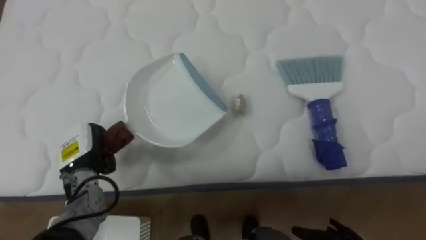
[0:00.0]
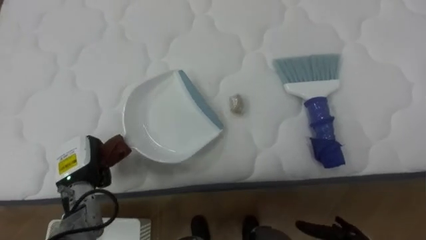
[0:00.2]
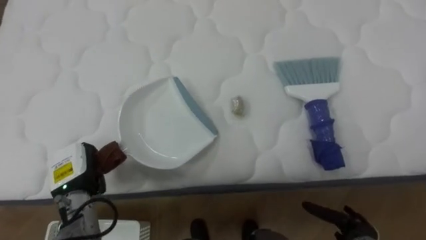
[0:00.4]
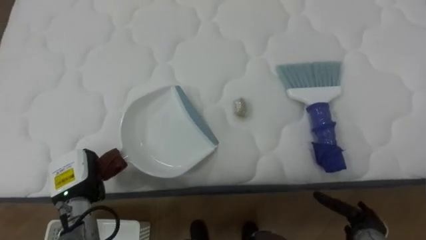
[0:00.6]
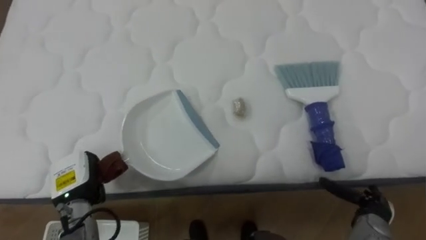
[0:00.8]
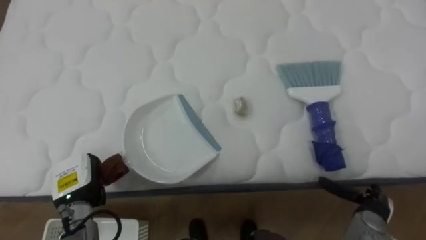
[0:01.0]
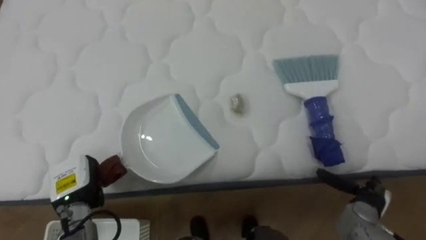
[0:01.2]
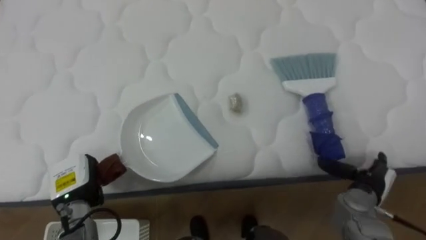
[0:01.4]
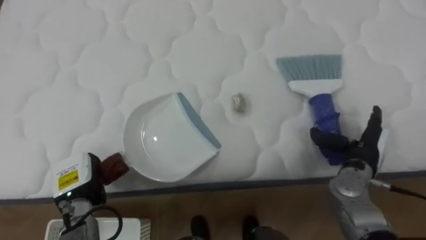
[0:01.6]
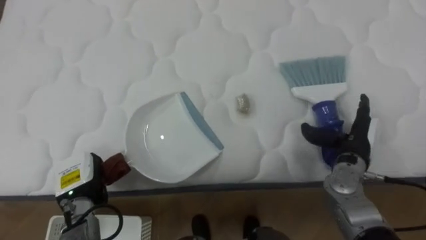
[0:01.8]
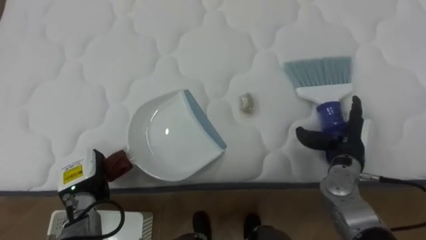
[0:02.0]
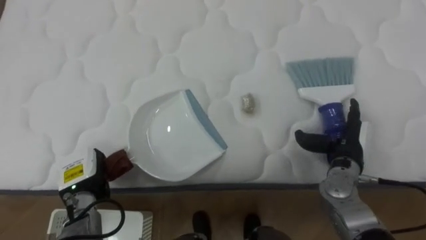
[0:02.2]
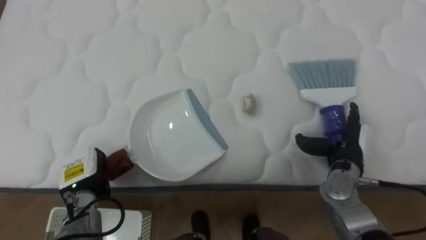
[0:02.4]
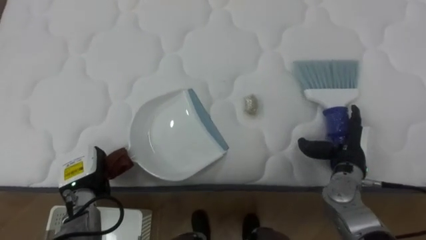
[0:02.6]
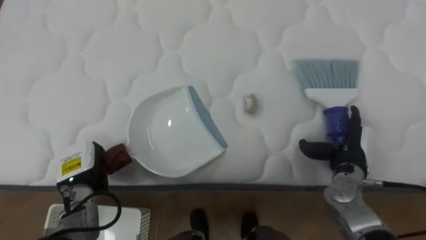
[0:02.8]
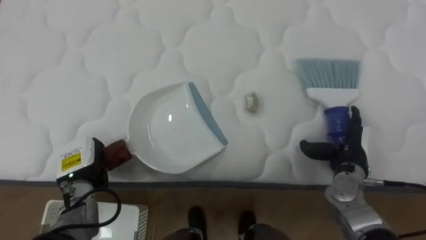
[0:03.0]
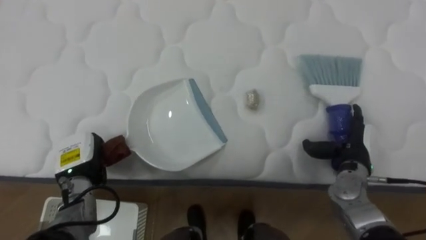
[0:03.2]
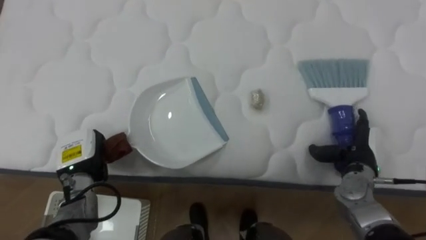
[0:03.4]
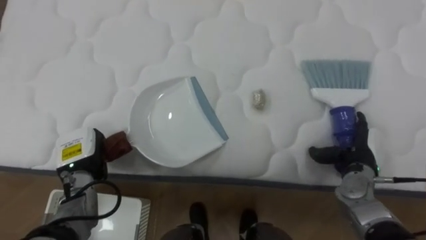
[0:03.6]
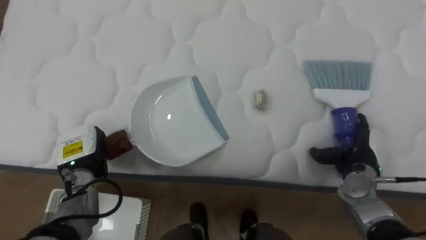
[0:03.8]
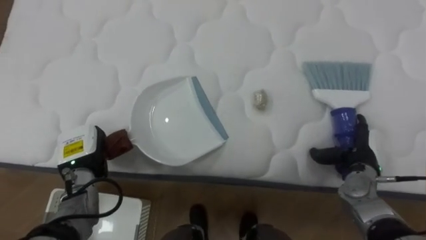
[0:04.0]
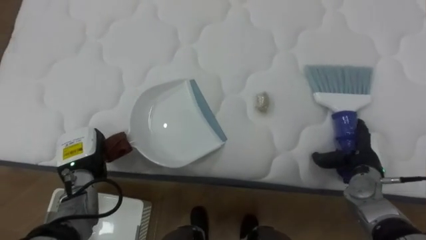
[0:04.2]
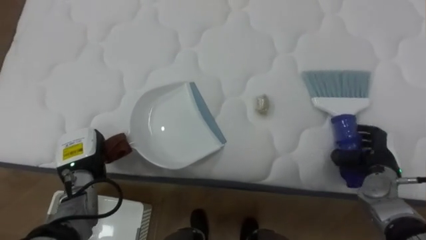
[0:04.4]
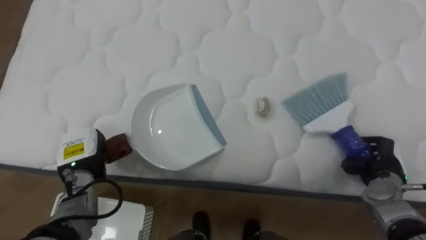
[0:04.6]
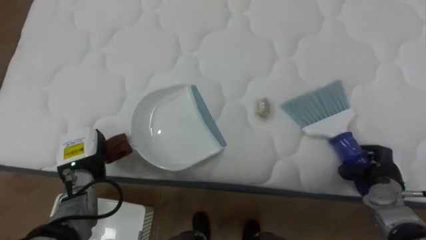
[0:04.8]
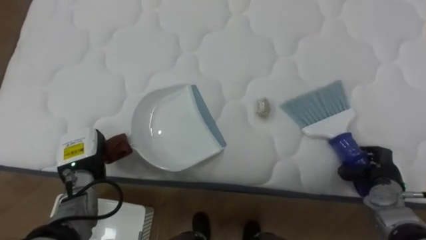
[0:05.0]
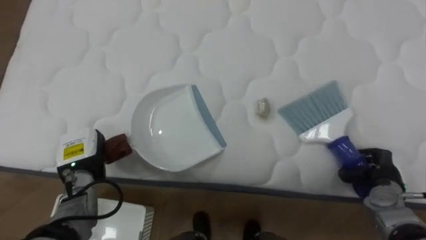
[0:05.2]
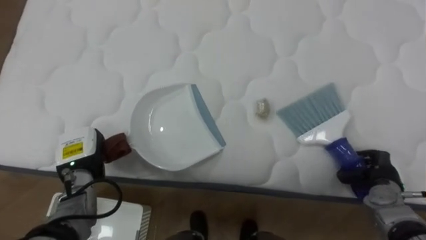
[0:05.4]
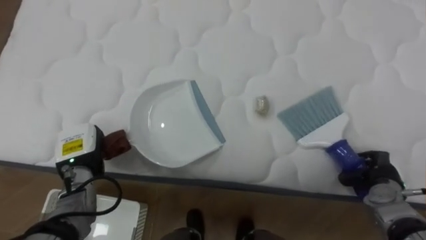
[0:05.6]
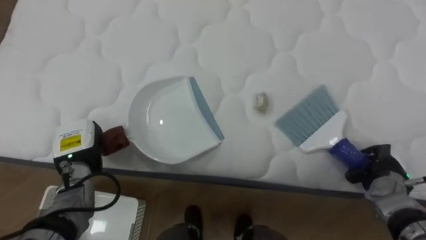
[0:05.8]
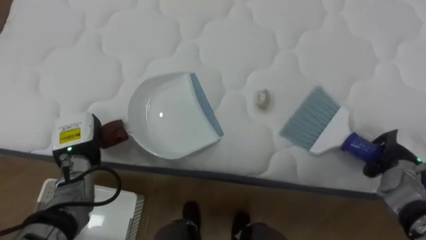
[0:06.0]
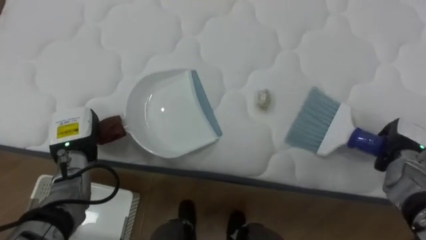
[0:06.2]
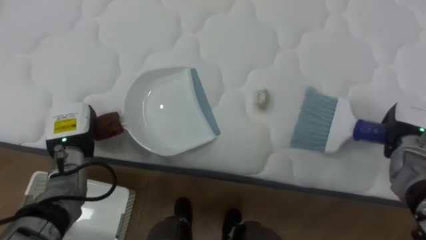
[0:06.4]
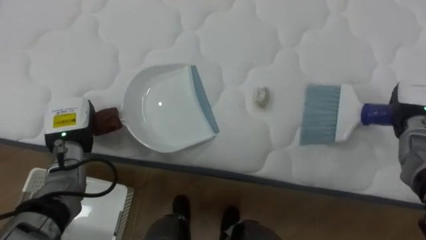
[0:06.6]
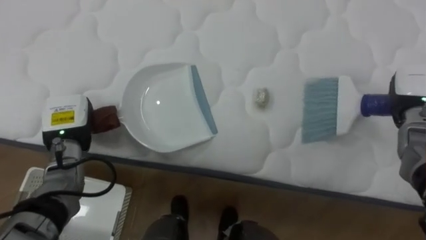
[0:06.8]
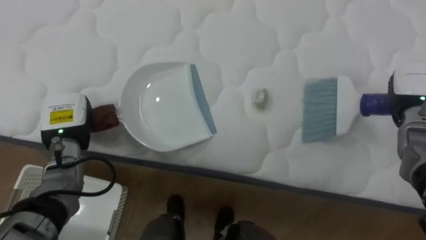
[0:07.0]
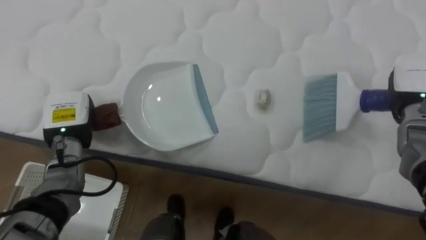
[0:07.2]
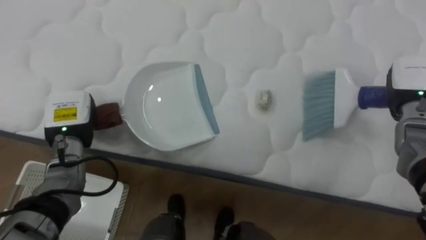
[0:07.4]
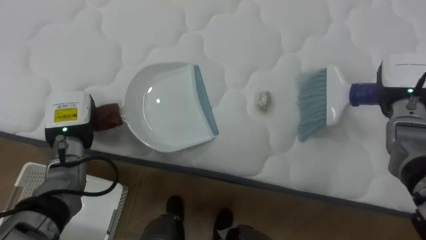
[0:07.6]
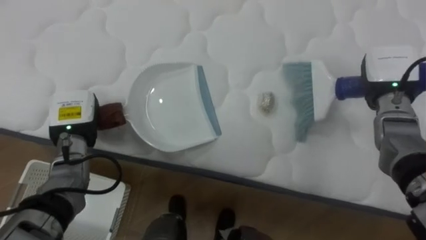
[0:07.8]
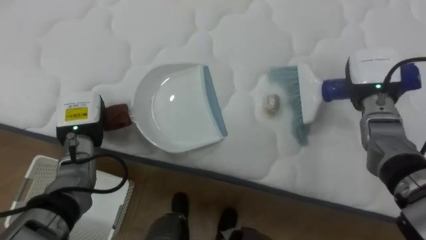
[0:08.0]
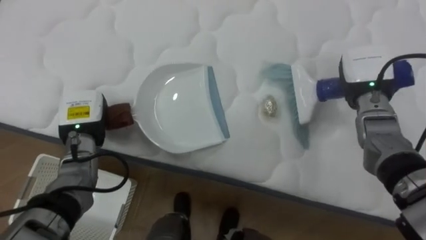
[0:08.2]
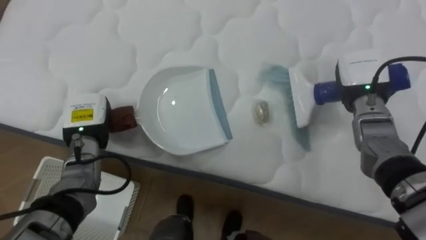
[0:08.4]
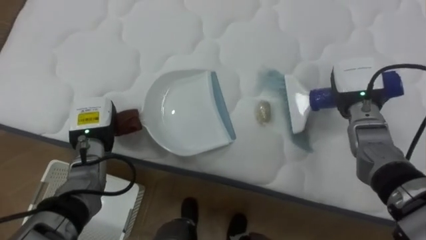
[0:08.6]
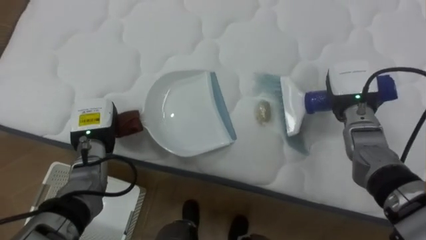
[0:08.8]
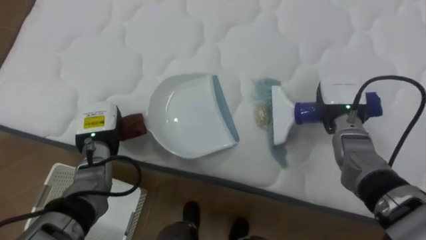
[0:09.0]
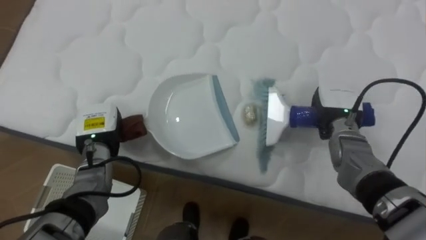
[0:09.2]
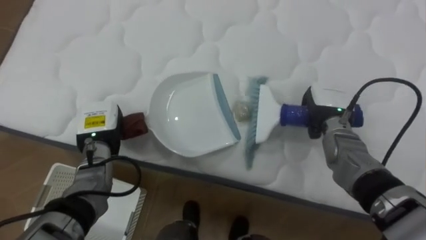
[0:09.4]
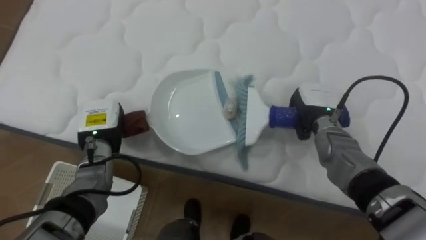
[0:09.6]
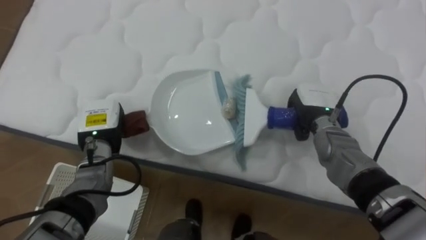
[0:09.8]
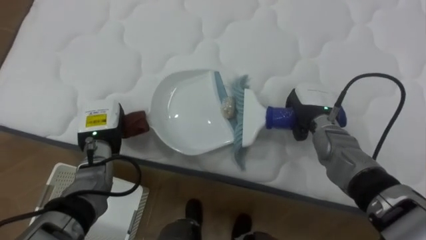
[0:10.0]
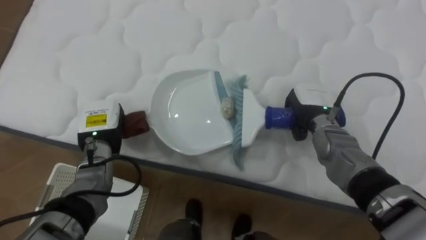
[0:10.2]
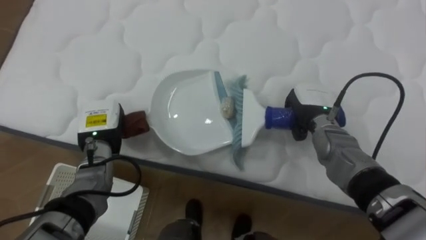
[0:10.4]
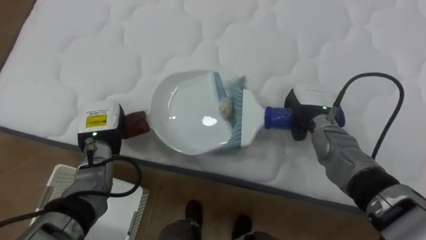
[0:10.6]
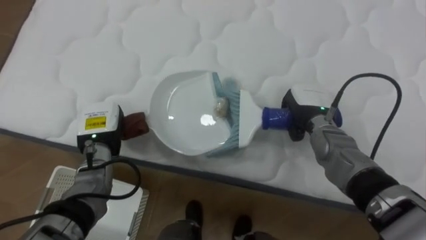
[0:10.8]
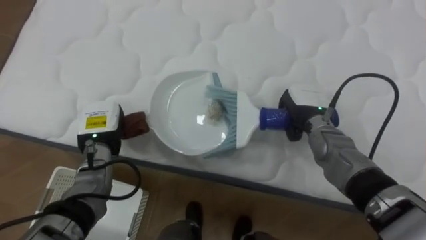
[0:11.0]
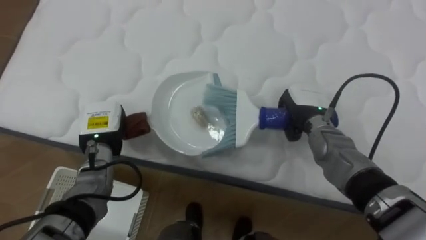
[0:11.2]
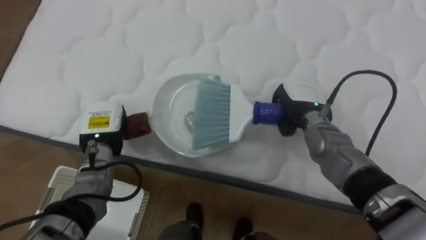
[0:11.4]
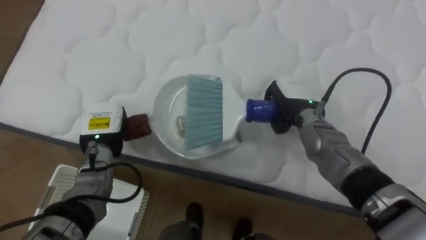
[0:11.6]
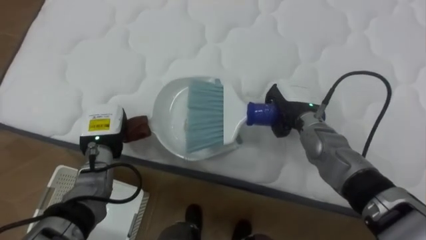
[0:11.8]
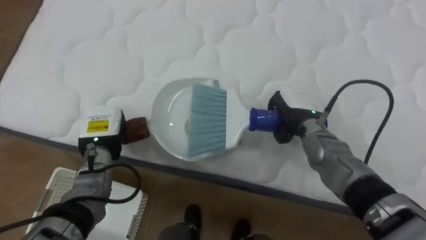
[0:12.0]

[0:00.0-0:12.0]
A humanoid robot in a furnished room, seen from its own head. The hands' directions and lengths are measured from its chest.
Task of the whole recording: Pick up the brush on your right and the dustpan on your left. Use the brush to sweep the crumpled paper on the bed into the dustpan, then turn left and empty it into the basket.
0:00.0 to 0:01.6: The left hand is displaced backward by some 5 cm.
0:03.0 to 0:04.4: The right hand travels to the right by about 5 cm.
0:04.4 to 0:06.0: The right hand closes up.
0:06.0 to 0:07.6: The right hand moves upward and forward, approximately 15 cm.
0:07.6 to 0:09.0: The left hand moves approximately 5 cm, while the right hand goes roughly 10 cm to the left.
0:09.0 to 0:10.4: The right hand goes about 5 cm to the left.
0:10.4 to 0:12.0: The hands stay close to where they were, moving slightly.

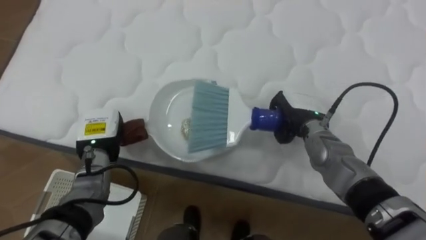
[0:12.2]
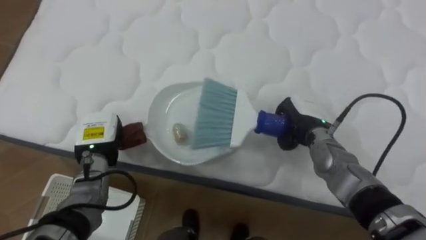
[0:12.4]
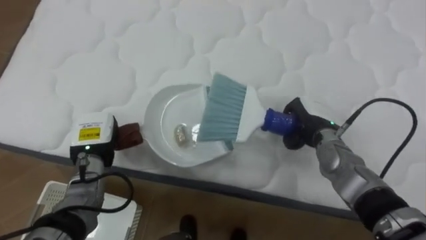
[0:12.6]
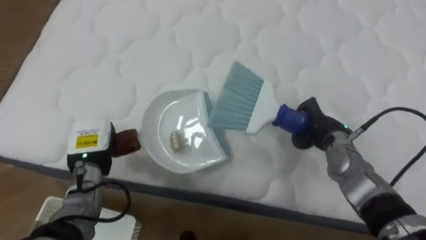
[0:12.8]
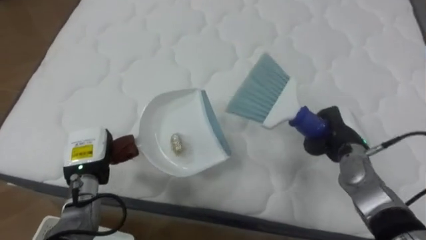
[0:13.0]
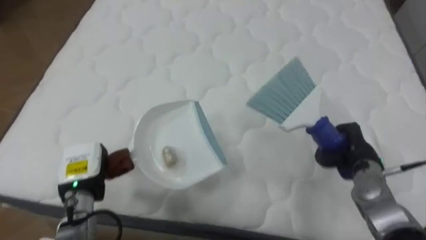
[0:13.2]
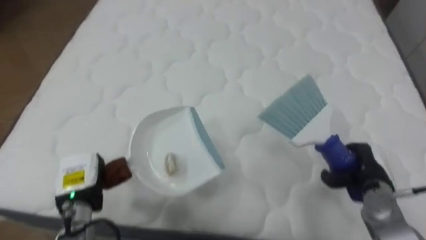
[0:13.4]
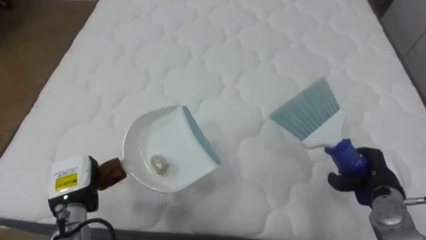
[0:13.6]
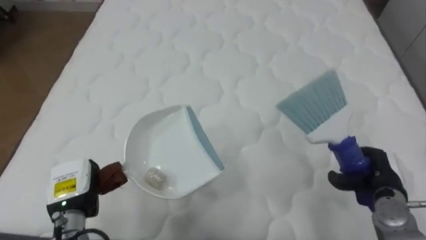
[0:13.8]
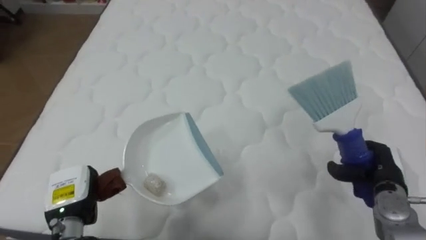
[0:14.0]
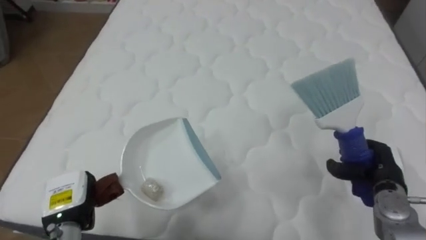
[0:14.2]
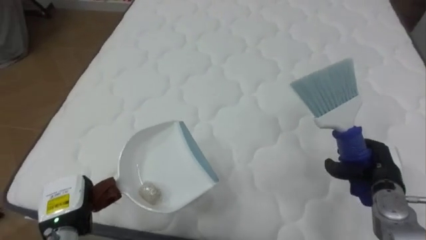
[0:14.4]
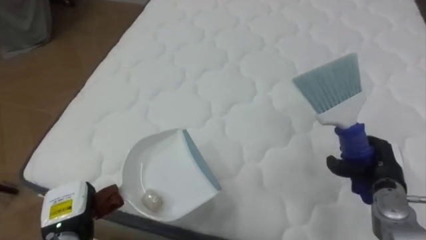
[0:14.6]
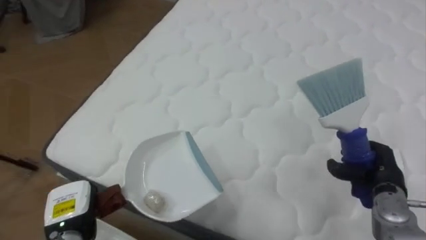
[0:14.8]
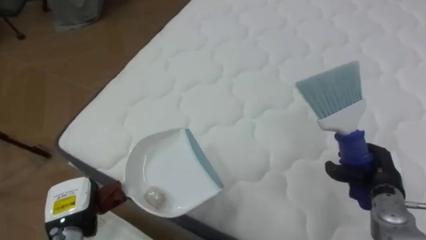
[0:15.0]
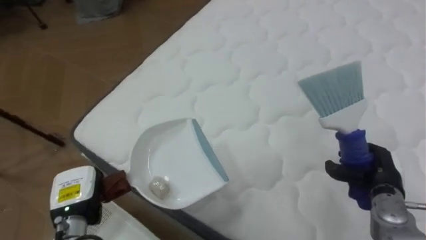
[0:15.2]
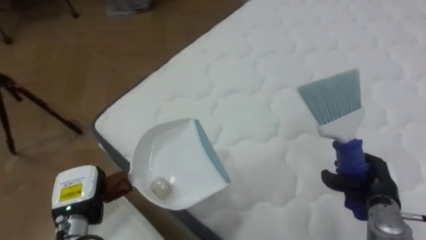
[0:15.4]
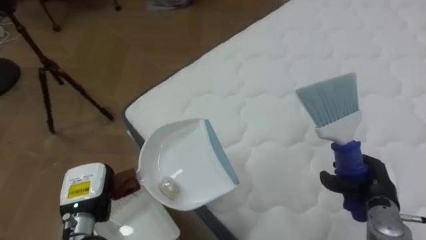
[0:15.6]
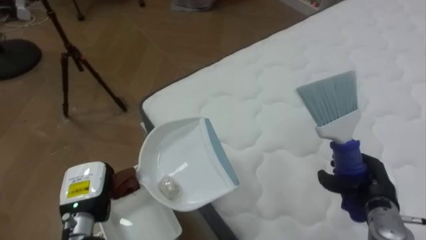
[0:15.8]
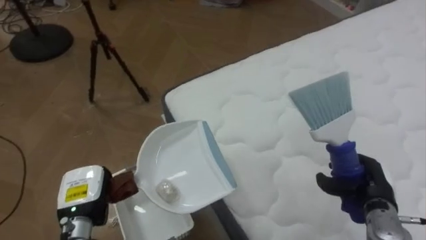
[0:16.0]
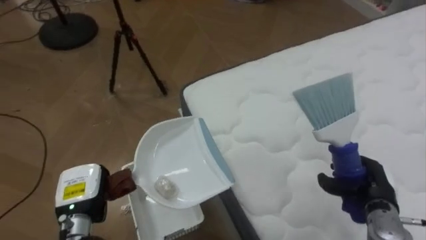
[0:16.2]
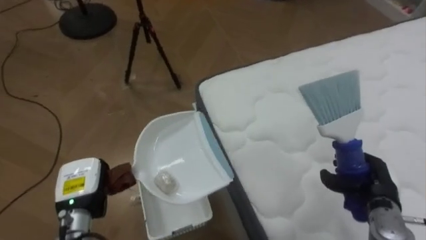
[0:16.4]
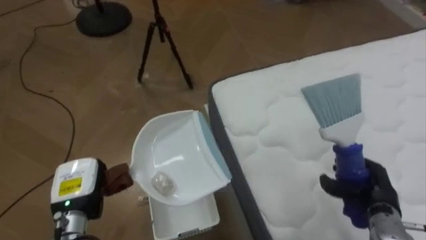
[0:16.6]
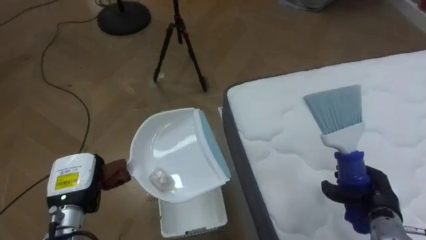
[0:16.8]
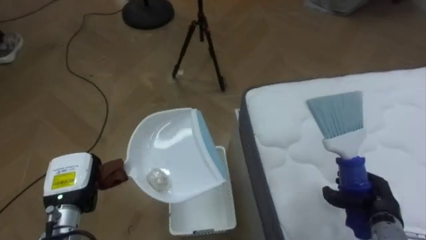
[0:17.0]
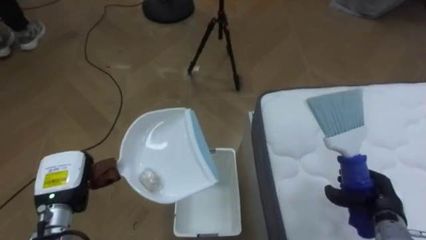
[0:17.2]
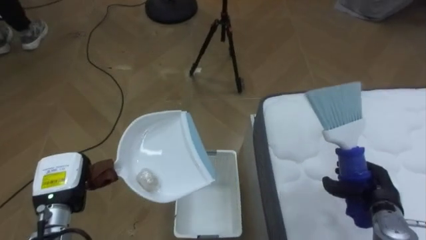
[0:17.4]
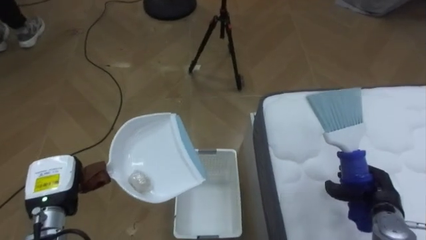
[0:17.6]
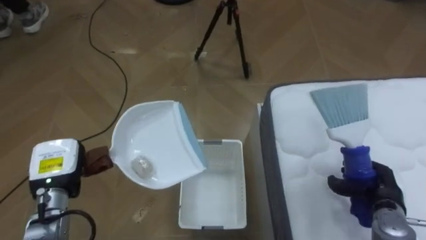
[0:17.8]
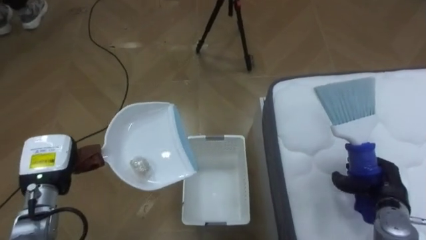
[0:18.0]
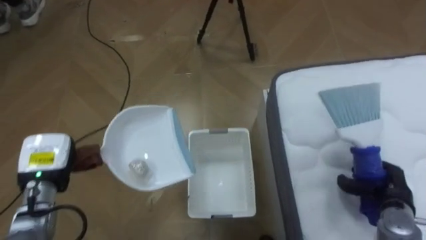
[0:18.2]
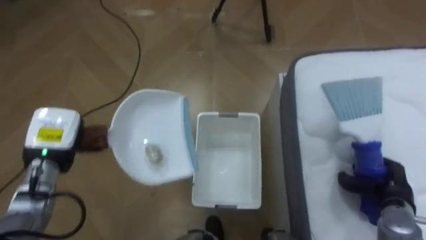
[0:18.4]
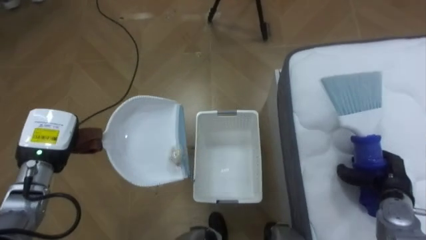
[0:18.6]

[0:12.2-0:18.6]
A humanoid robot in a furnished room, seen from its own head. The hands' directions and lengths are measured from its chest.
Task of the whole recording: Pick up the brush on your right and the dustpan on your left. Use the brush to sweep the crumpled paper on the bed into the dustpan, then turn left and empty it into the basket.
0:12.2 to 0:13.8: The left hand moves backward, roughly 10 cm; the right hand is displaced to the right, backward and downward by roughly 20 cm.
0:13.8 to 0:15.4: The robot's body swings about 30 degrees to its left.
0:15.4 to 0:17.0: The robot faces some 45 degrees further to its left.
0:17.0 to 0:18.6: The left hand heads forward and upward, covering approximately 10 cm.
